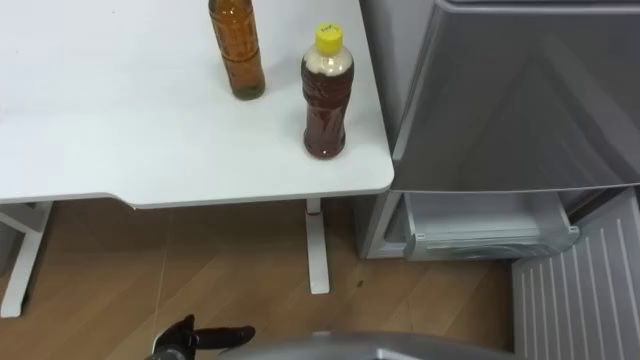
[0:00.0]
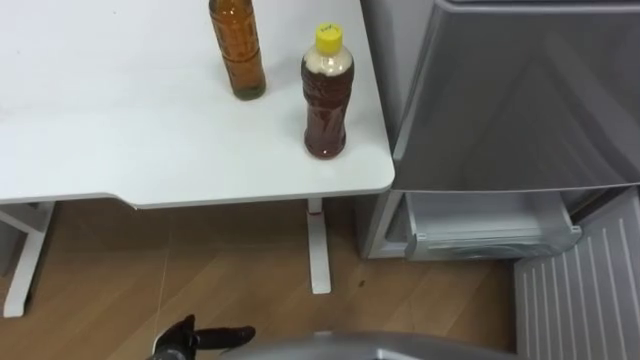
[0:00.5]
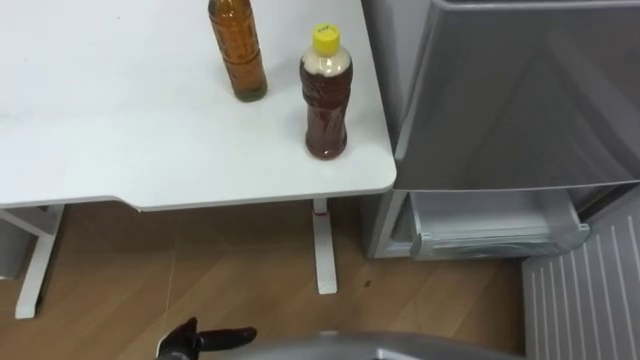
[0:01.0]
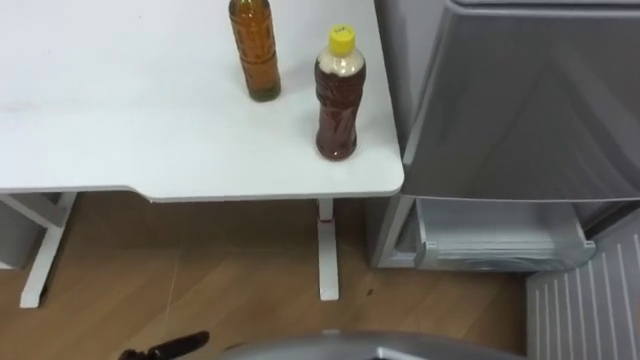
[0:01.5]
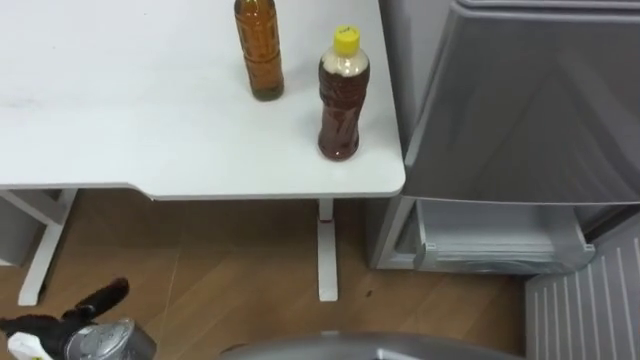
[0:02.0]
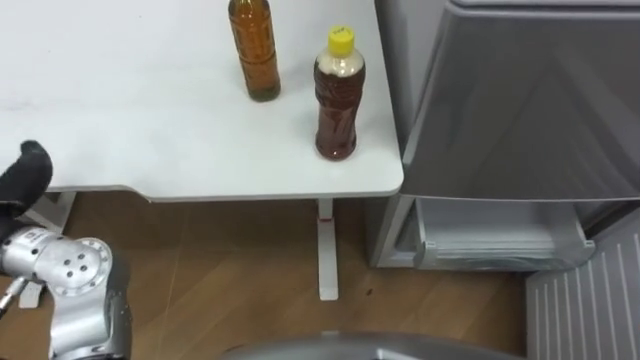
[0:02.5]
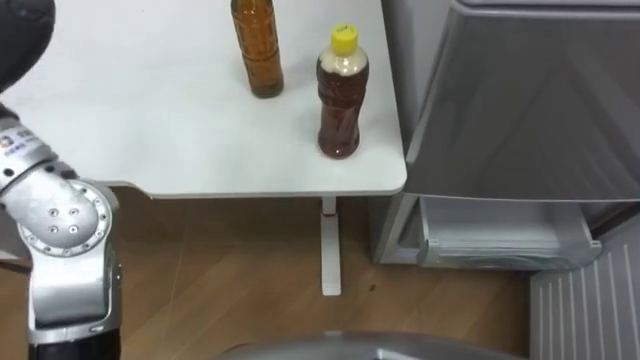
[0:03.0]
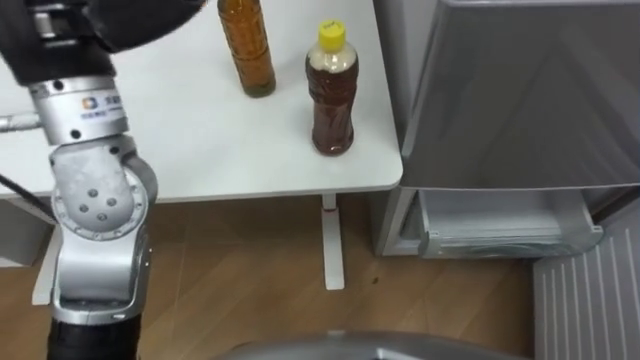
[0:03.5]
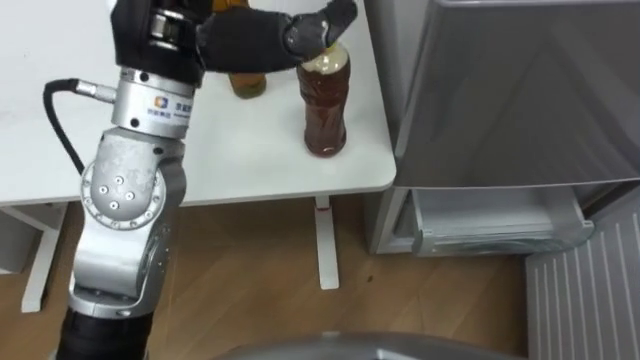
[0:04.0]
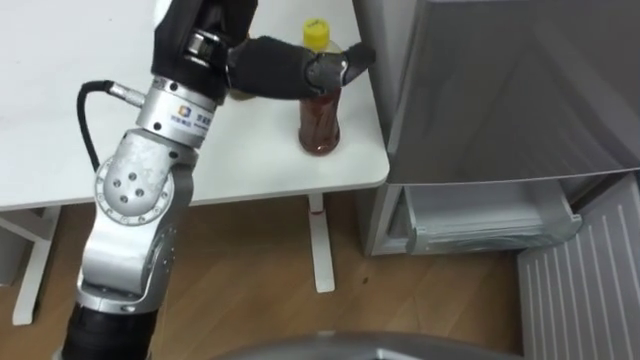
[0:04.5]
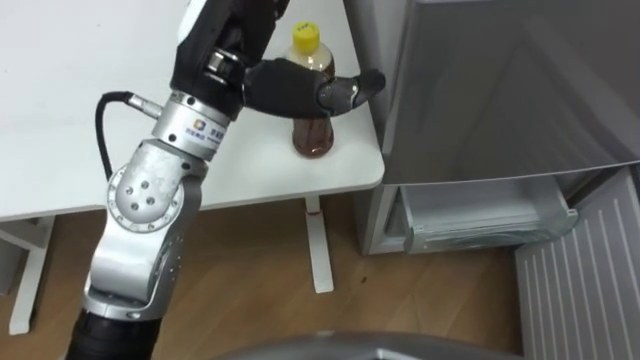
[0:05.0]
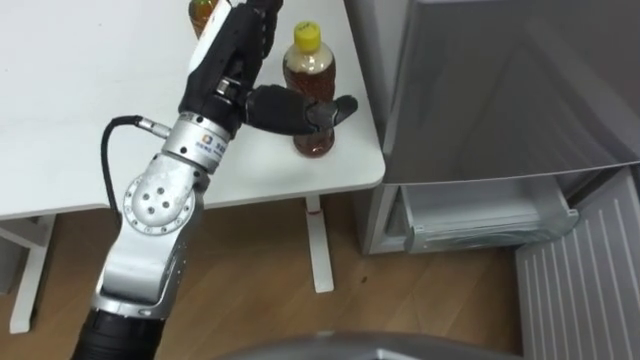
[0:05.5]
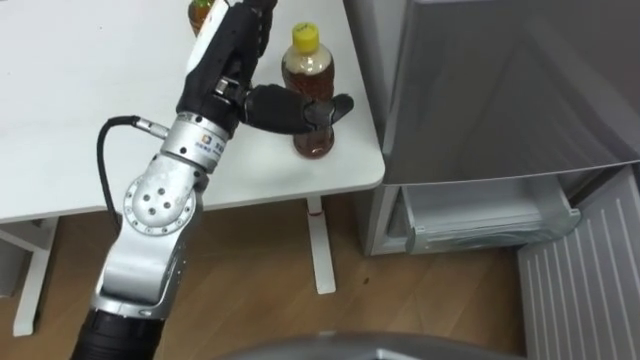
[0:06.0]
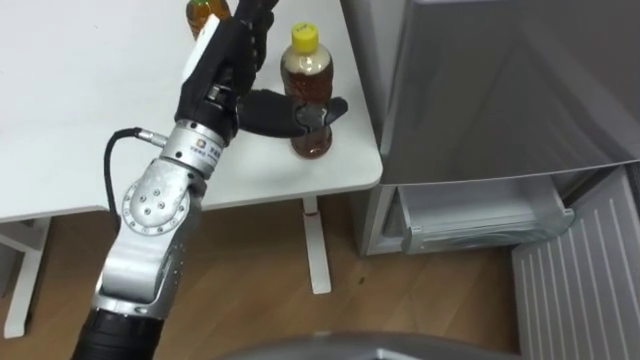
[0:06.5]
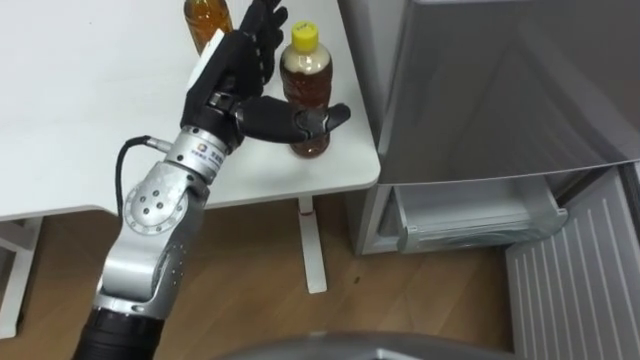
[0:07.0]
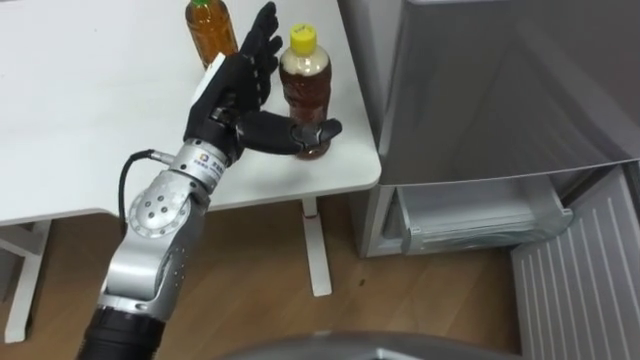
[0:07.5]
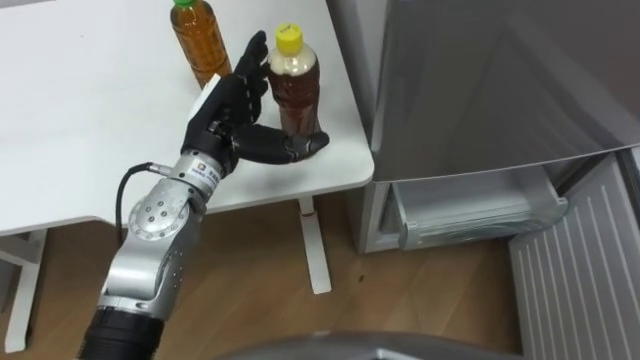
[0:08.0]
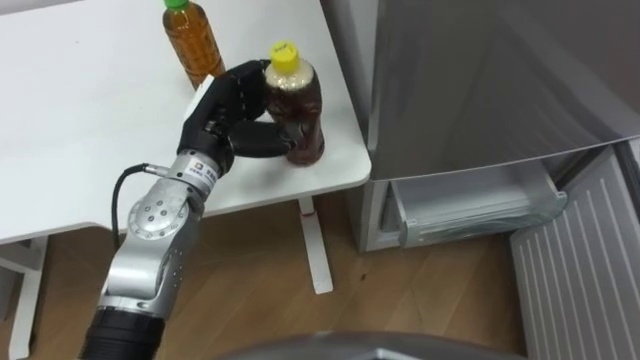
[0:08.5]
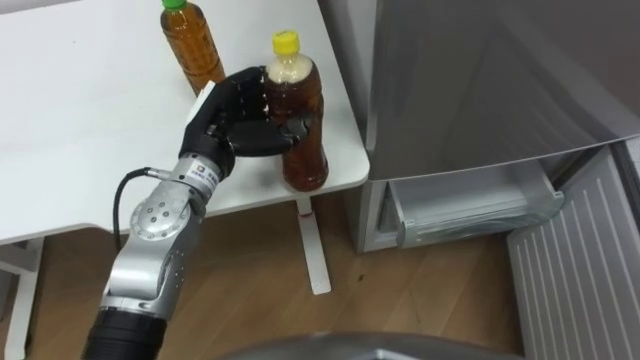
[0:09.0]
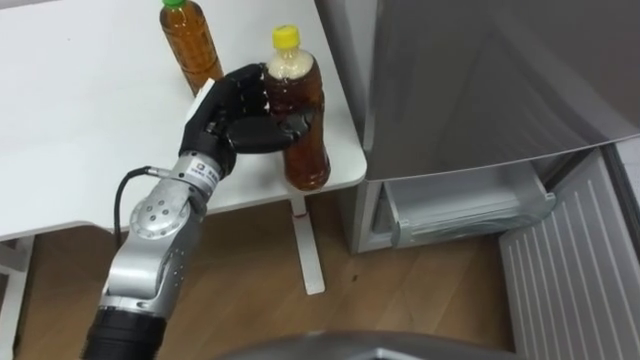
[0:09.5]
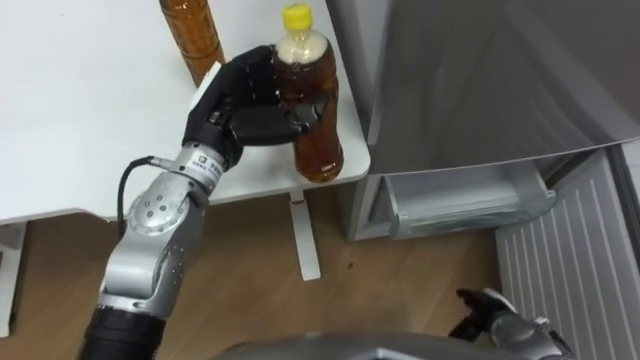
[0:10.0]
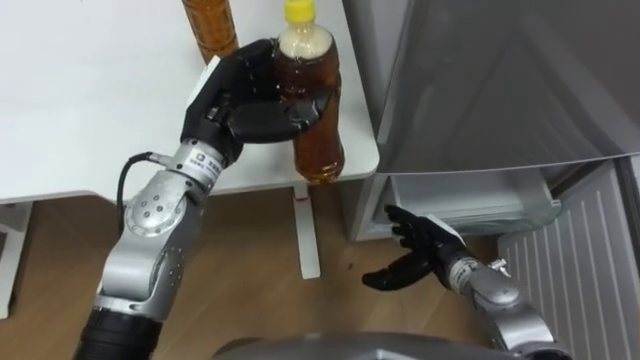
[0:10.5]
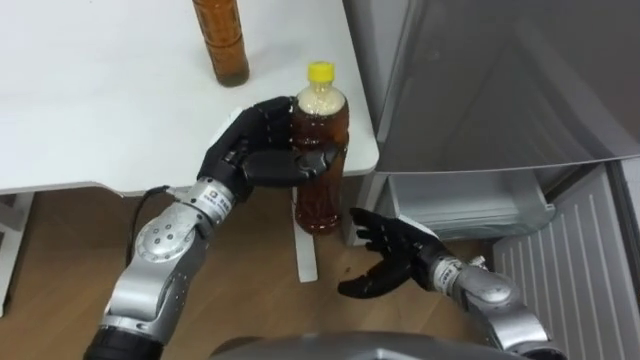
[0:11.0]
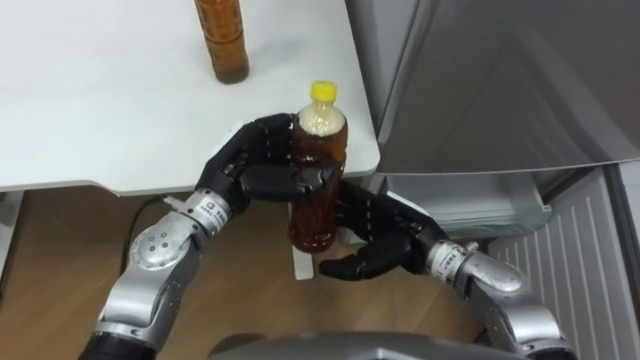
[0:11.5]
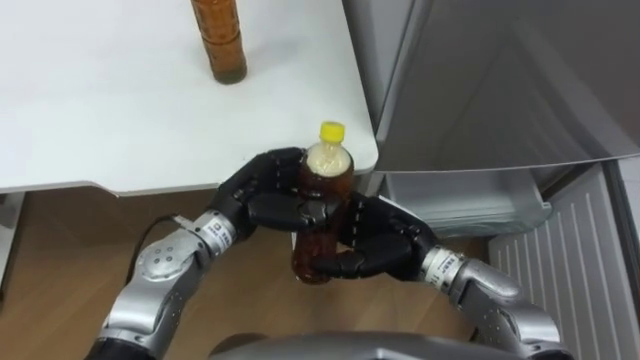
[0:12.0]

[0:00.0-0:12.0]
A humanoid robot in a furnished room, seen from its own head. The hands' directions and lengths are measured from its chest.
Task of the whole recording: Place the drink on the table on the bottom shelf of the refrigerator, then close the drawer and the refrigerator door.
0:04.0 to 0:06.0: The left hand goes approximately 10 cm downward.
0:06.0 to 0:08.0: The left hand moves downward, approximately 10 cm.
0:08.0 to 0:10.0: The left hand closes its fingers.
0:10.0 to 0:12.0: The right hand heads to the left, upward and forward, covering some 25 cm. The left hand moves downward and backward, some 10 cm.

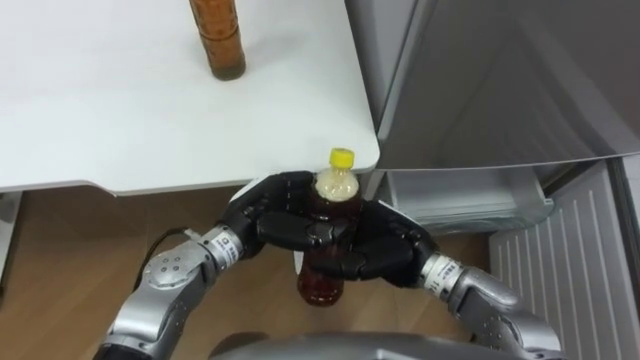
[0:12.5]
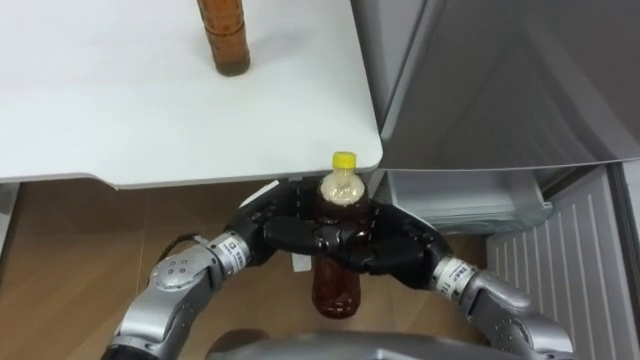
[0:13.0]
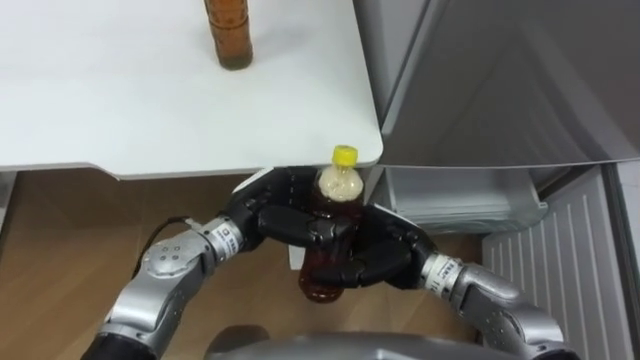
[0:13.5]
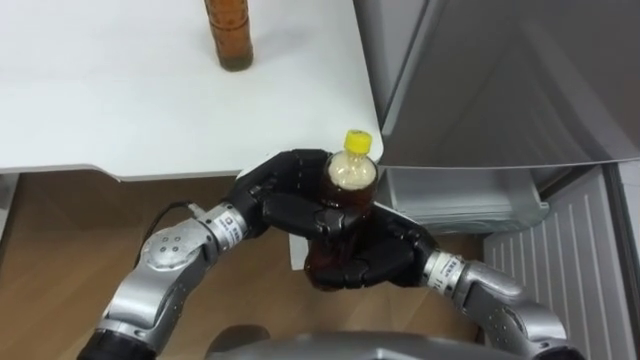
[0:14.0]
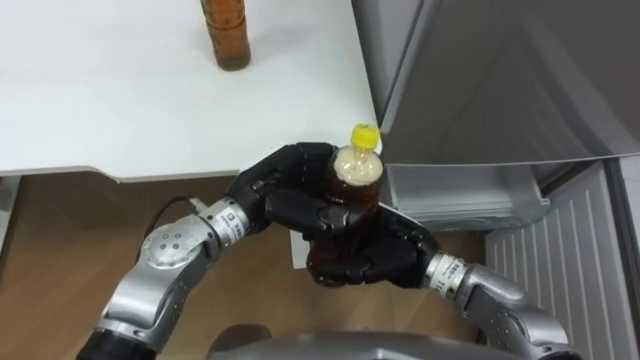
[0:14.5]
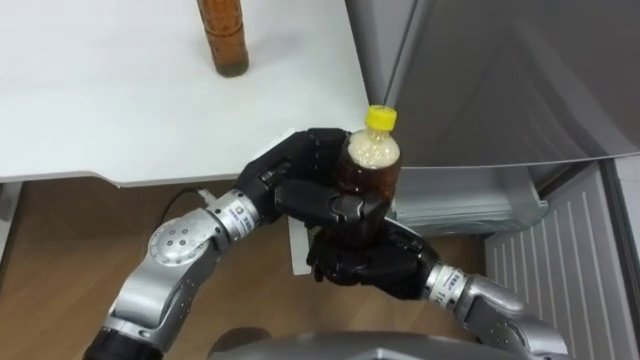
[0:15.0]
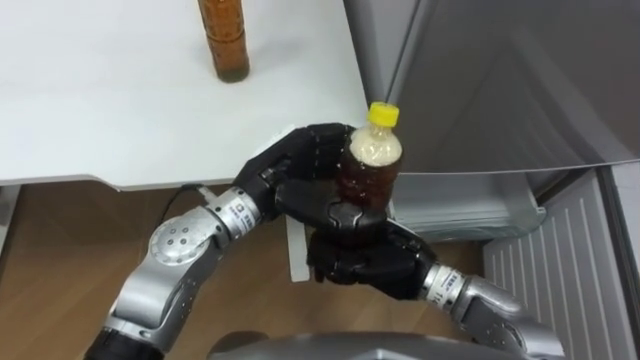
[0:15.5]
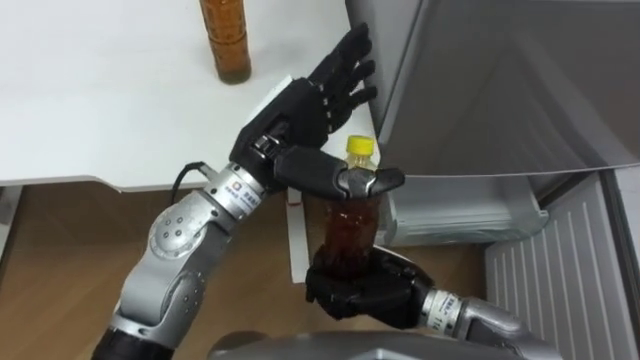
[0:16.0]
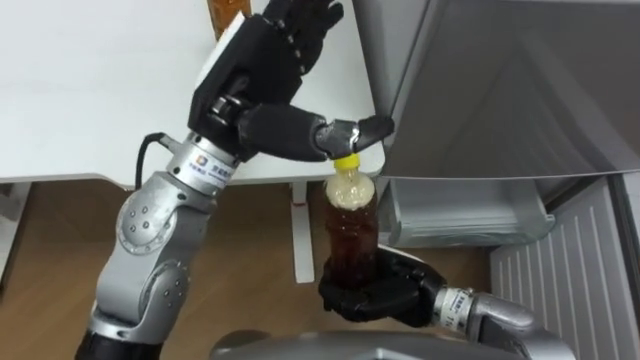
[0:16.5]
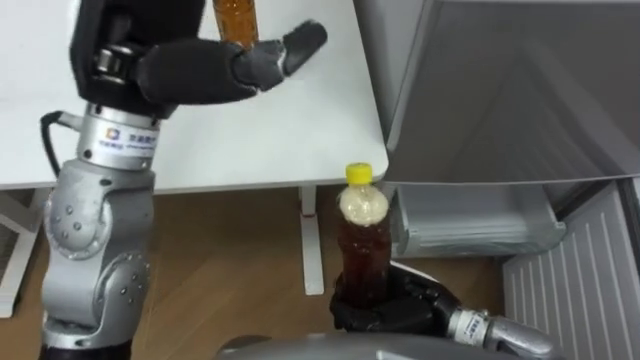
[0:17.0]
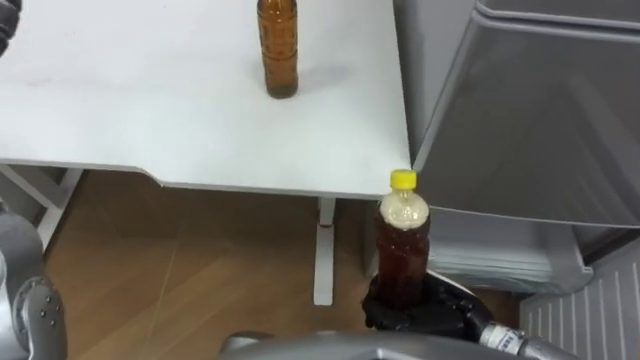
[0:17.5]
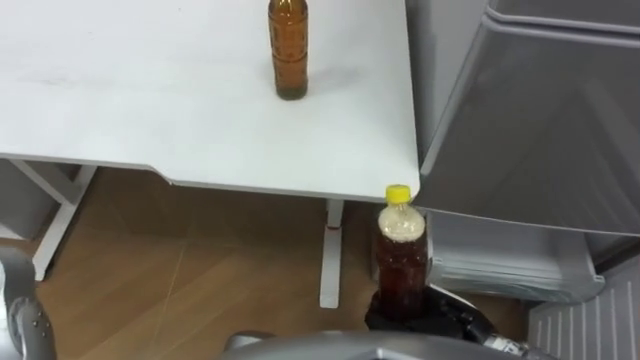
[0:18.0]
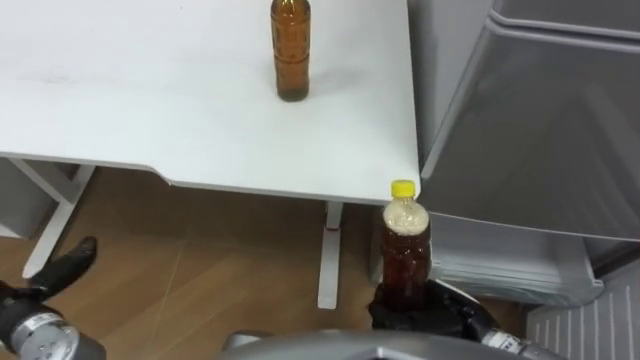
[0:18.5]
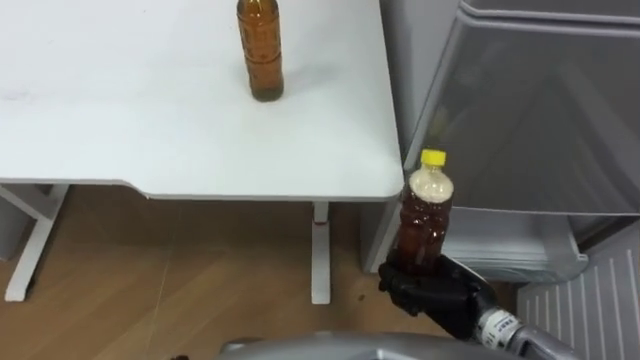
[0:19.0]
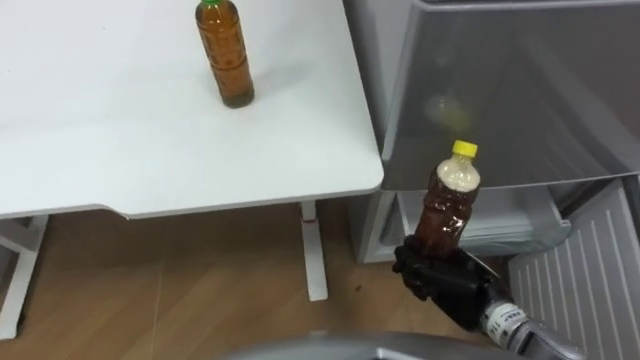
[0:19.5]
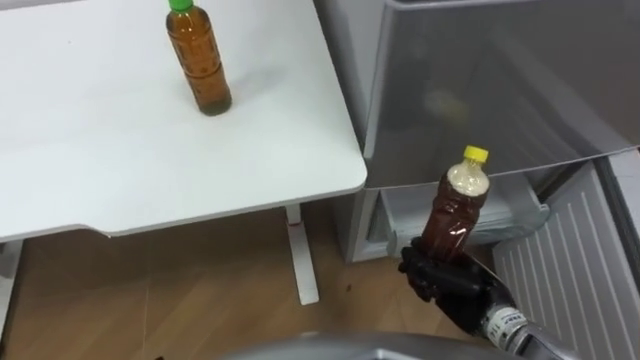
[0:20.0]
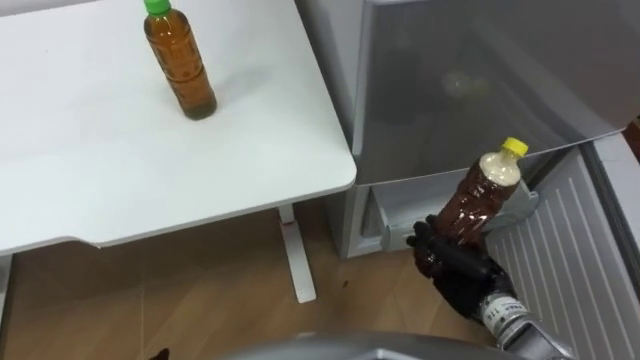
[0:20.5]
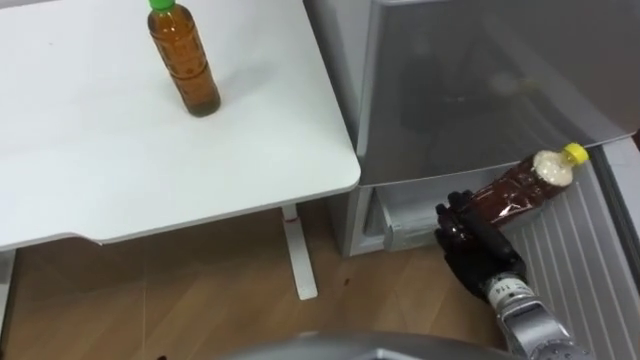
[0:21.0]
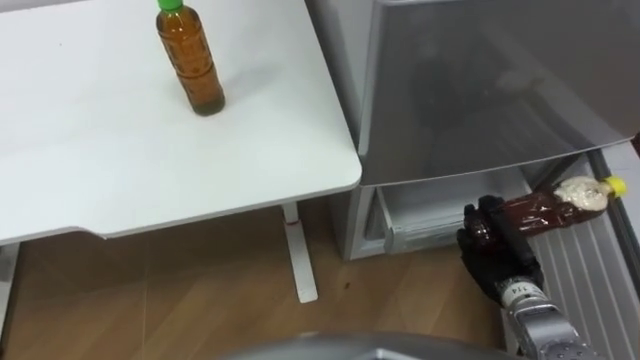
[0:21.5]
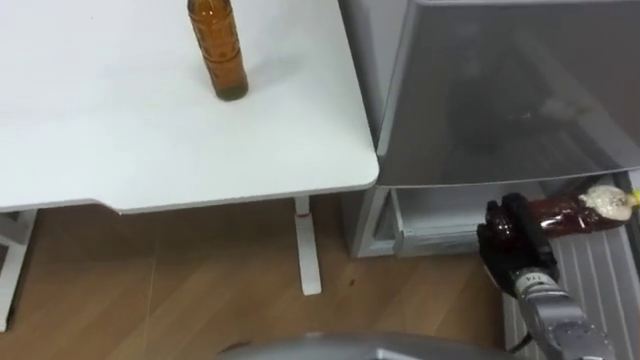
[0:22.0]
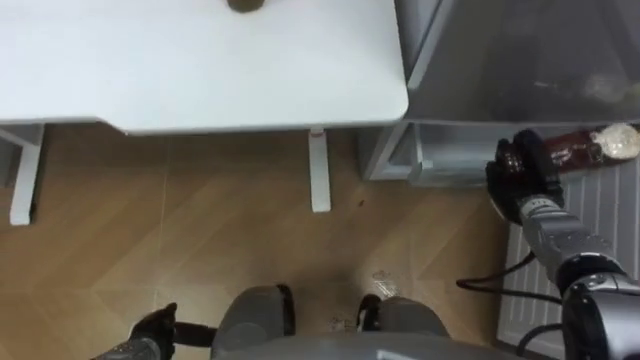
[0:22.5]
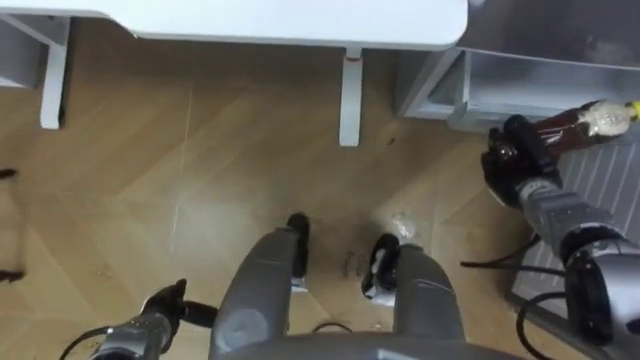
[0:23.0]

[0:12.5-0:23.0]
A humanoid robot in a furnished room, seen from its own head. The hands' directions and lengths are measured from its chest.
Task of the whole recording: Place the drink on the table on the bottom shelf of the refrigerator, then close the drawer and the refrigerator door.
0:12.5 to 0:14.5: The left hand moves some 5 cm.
0:14.5 to 0:16.5: The left hand heads upward, covering some 15 cm, and opens; the right hand moves approximately 5 cm, and closes up.
0:16.5 to 0:19.0: The right hand is displaced to the right by about 10 cm.
0:19.0 to 0:21.0: The right hand shifts approximately 5 cm to the right.
0:21.0 to 0:23.0: The right hand heads forward and to the right, covering about 15 cm.
